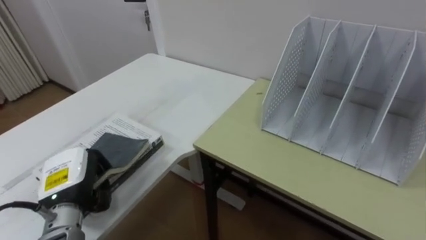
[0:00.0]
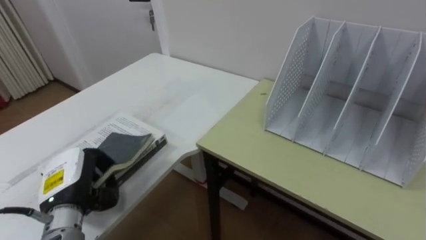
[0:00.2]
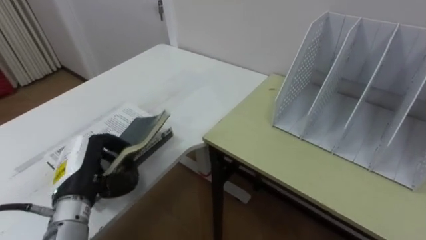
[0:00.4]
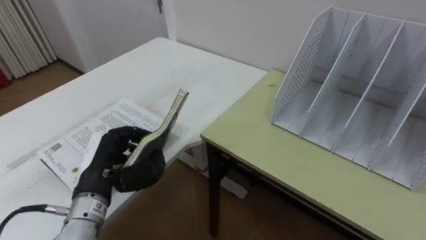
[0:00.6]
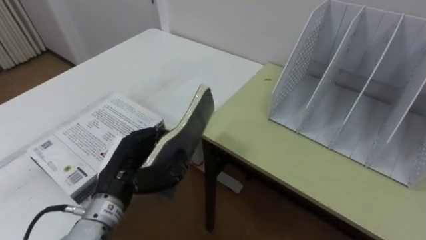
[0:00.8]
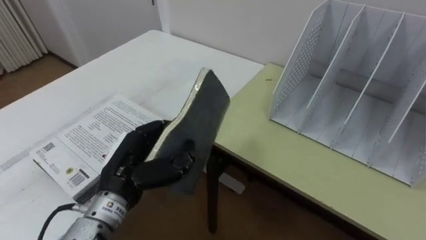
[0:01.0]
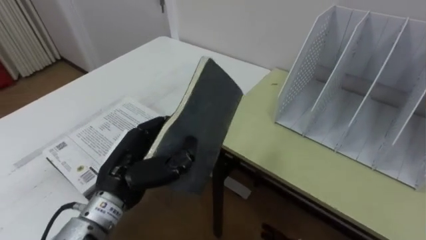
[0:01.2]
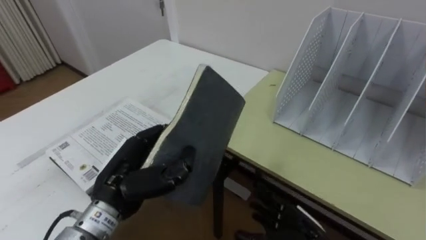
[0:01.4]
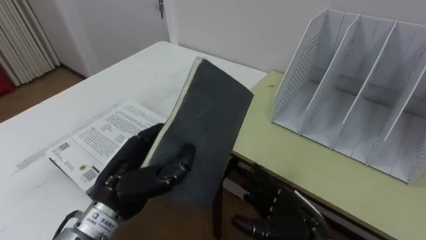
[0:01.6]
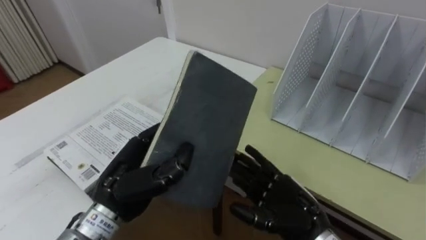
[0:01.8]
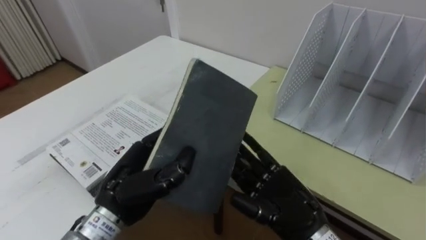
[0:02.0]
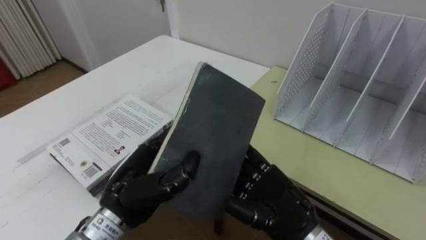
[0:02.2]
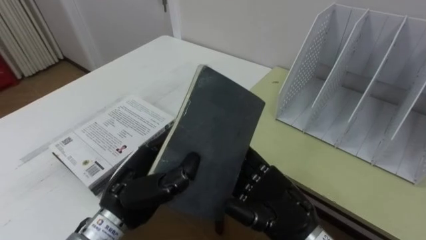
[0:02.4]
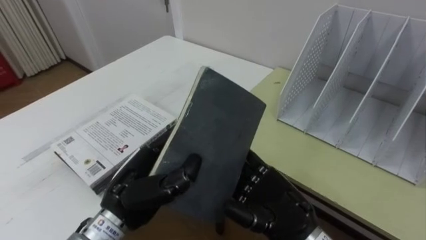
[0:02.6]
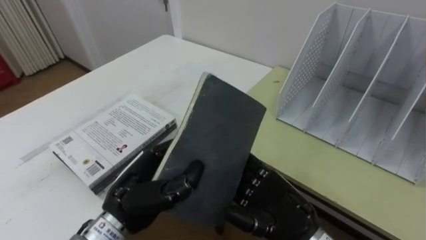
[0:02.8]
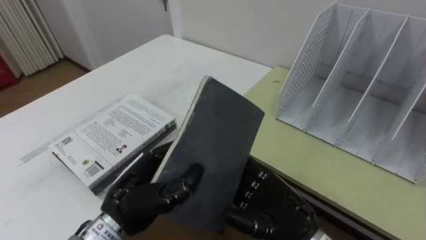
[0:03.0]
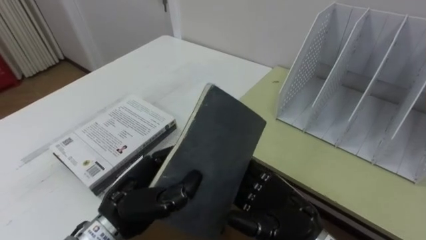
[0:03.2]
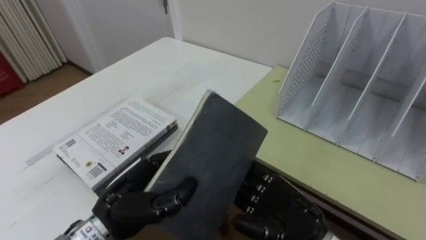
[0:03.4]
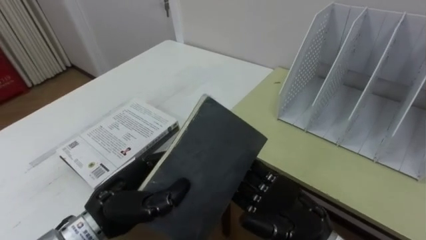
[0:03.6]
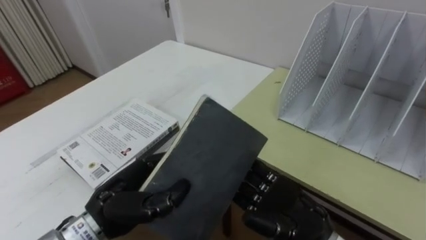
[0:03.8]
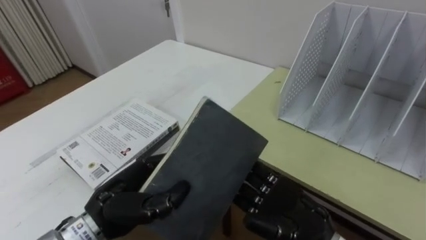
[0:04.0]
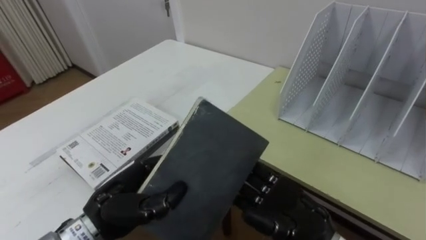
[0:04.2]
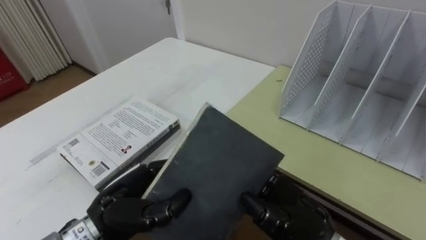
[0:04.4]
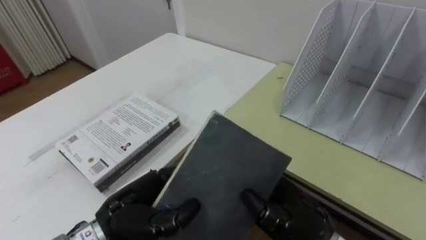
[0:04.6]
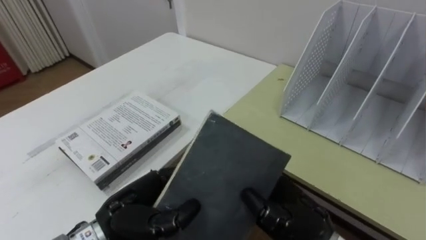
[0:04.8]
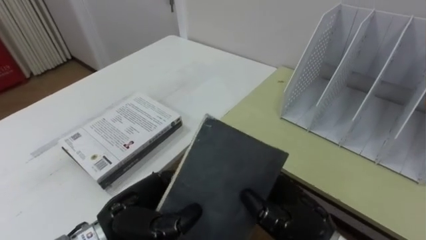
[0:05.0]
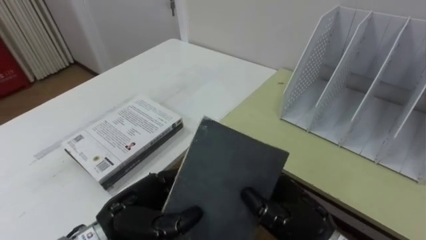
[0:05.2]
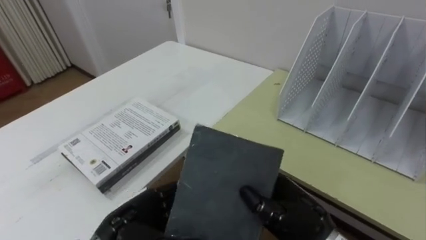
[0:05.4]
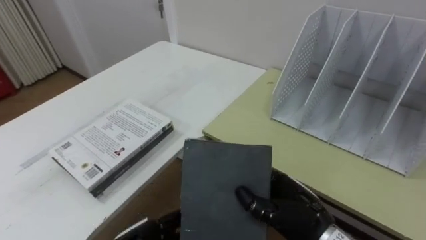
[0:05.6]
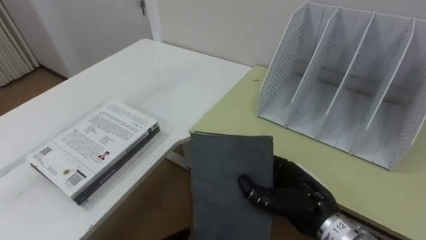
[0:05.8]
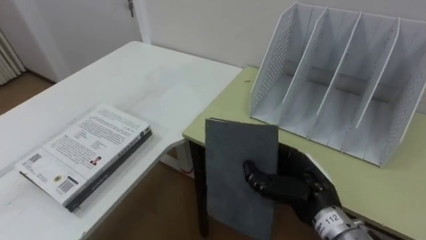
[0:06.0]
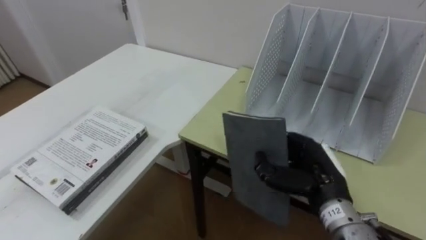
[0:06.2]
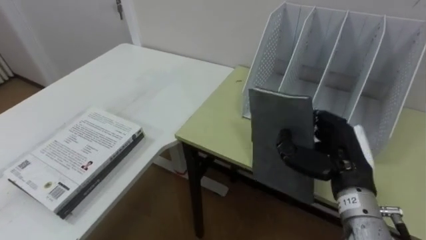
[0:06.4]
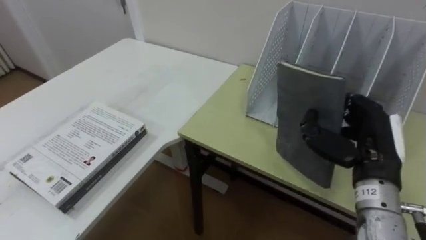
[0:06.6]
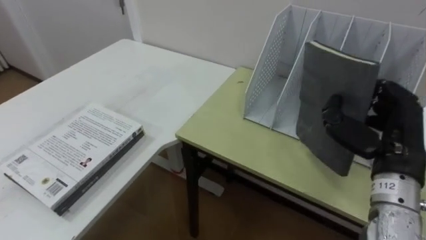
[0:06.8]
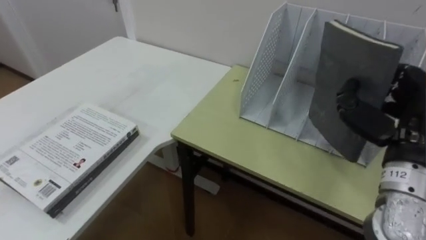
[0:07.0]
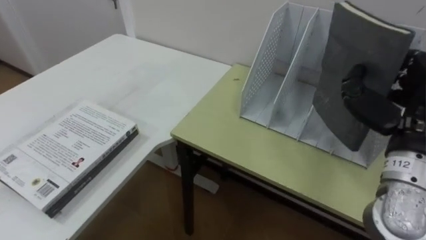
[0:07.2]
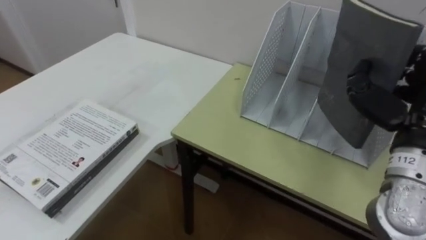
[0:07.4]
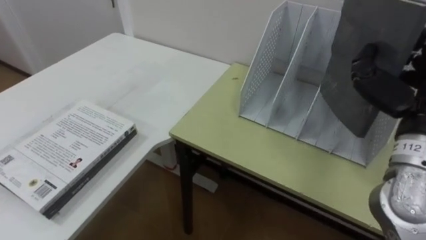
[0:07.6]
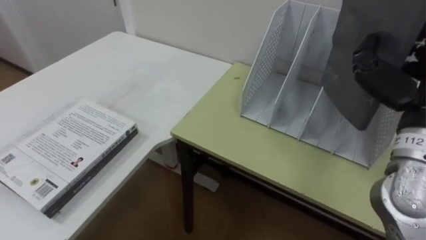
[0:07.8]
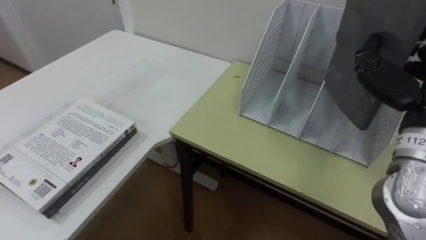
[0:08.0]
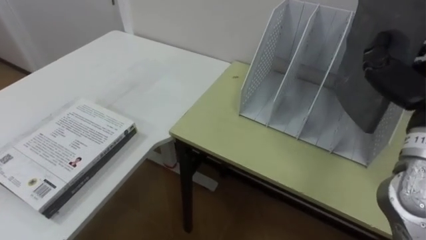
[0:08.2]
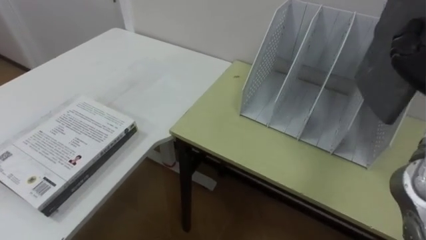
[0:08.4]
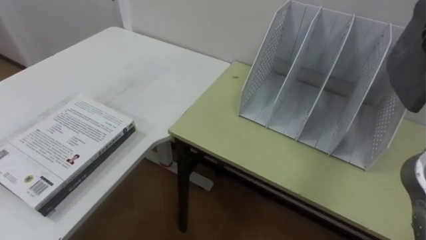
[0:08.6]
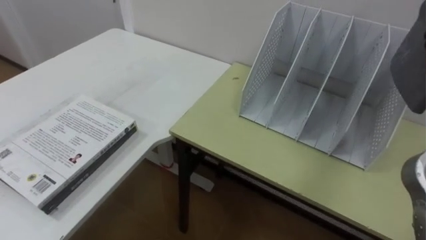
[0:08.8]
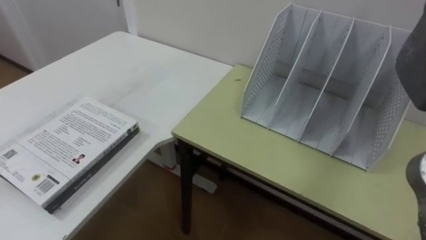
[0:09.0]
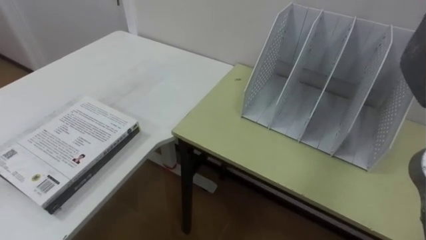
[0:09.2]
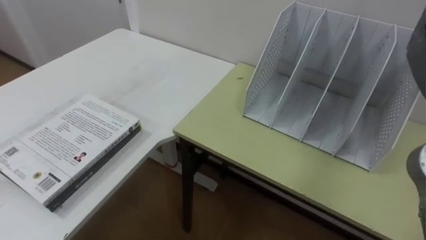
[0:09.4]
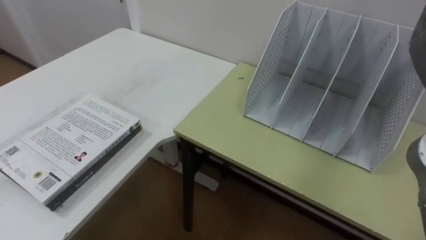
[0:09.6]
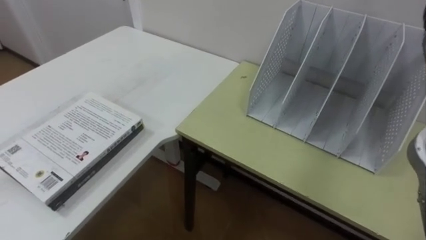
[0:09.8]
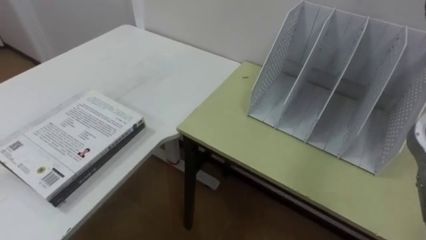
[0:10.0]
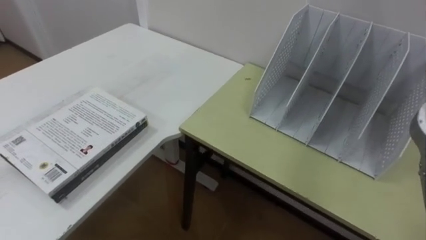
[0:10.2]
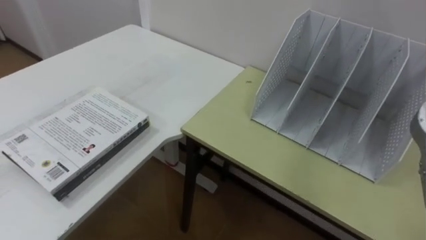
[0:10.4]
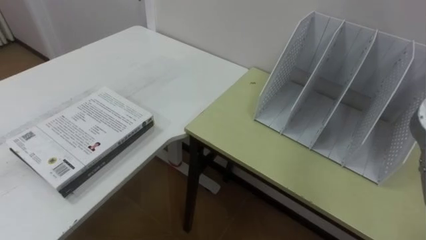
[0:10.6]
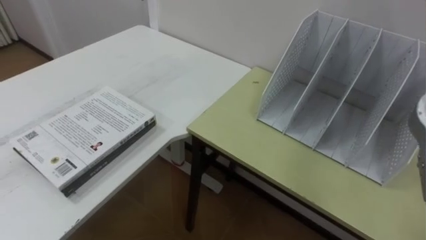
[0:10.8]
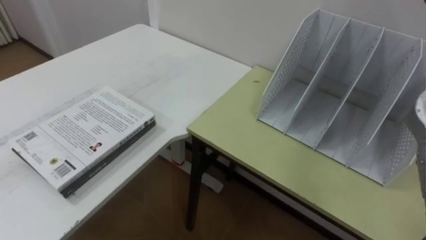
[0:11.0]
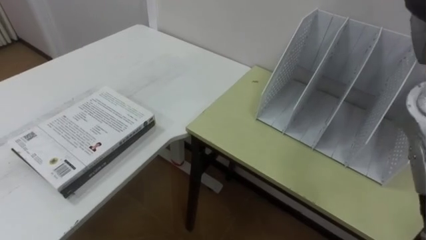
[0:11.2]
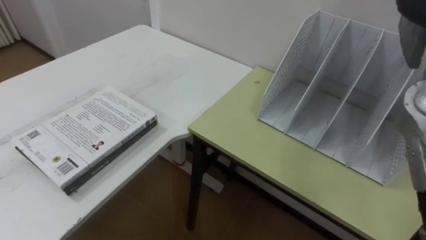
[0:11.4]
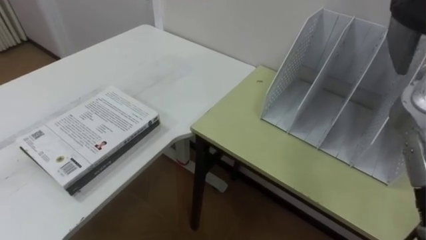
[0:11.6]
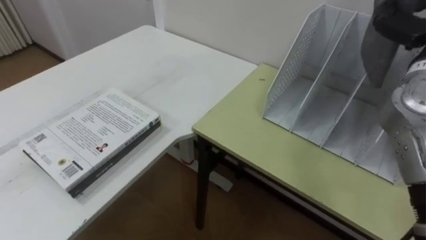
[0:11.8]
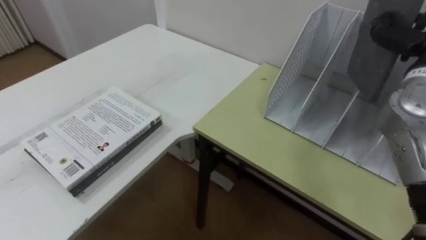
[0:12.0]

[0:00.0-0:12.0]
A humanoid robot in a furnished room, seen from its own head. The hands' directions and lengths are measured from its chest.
Task of the whole recording: Put the books on the table onto the bookshelf.
0.0 to 1.6 s: The left hand is displaced to the right and upward by roughly 15 cm.
1.6 to 3.0 s: The right hand goes some 5 cm upward.
3.0 to 4.4 s: The right hand closes its fingers.
4.4 to 6.0 s: The right hand moves about 5 cm.
6.0 to 7.6 s: The right hand travels upward and to the right by approximately 20 cm.

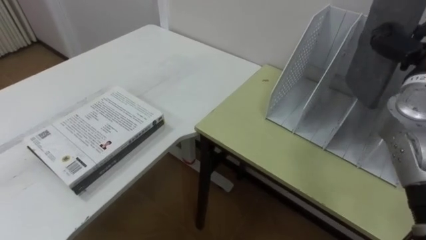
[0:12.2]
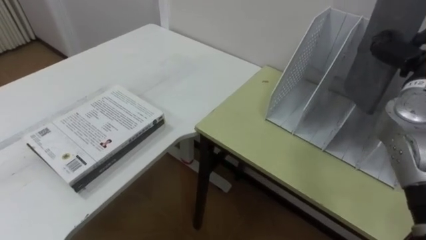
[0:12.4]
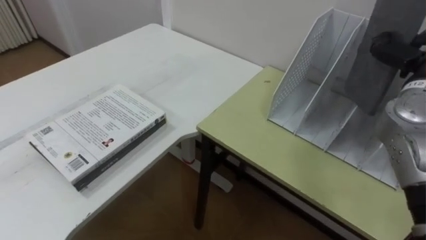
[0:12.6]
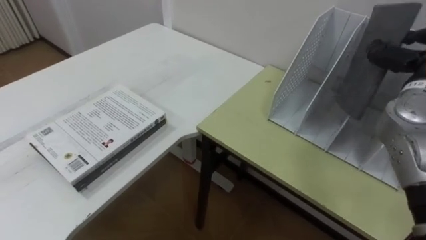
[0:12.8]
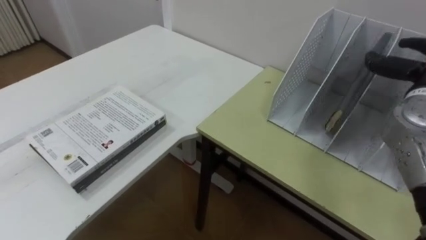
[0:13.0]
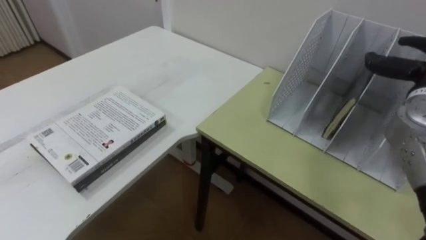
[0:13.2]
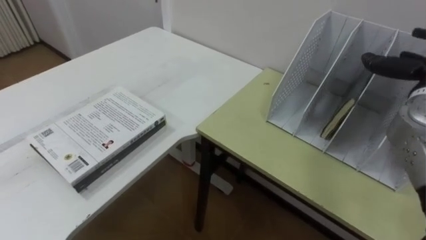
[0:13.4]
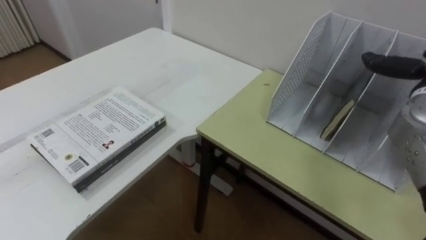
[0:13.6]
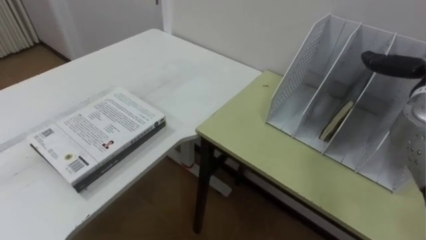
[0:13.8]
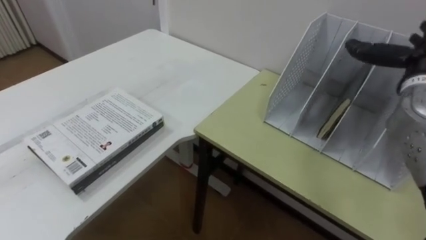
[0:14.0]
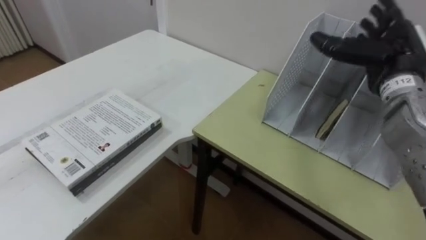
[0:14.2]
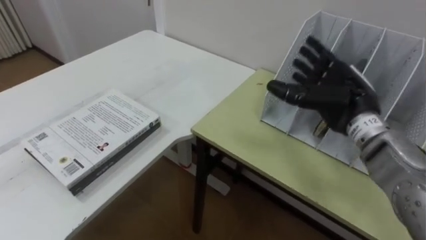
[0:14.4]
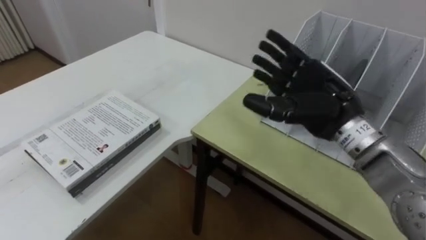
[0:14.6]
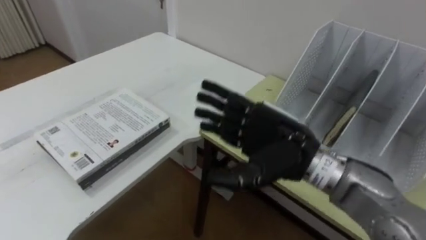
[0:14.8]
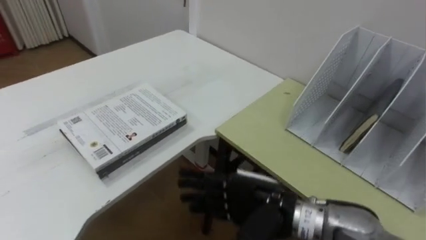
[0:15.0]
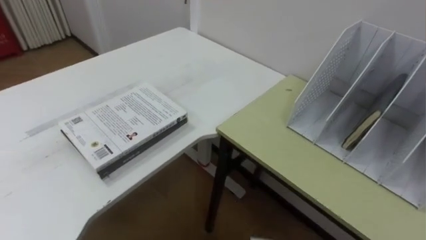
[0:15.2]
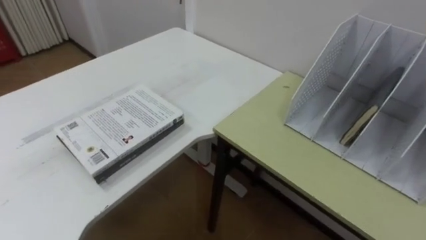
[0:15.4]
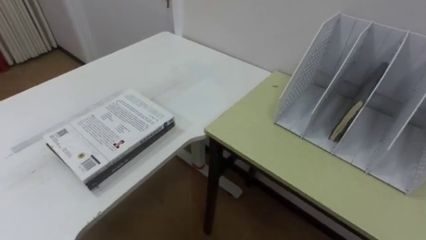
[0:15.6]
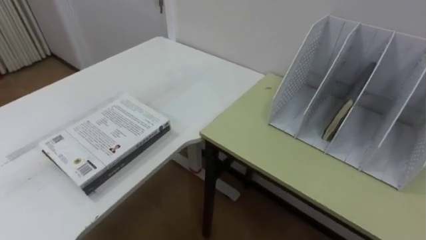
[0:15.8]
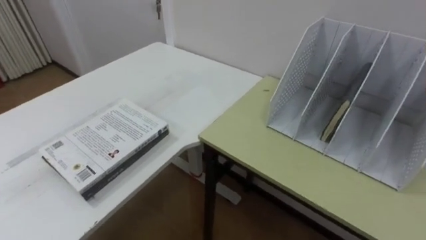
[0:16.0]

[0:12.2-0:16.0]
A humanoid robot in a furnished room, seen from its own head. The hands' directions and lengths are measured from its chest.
Task of the whole recording: Put the books on the table onto the bookshelf.
12.2 to 13.4 s: The right hand opens its fingers.
13.4 to 14.8 s: The right hand heads to the left, covering approximately 25 cm.

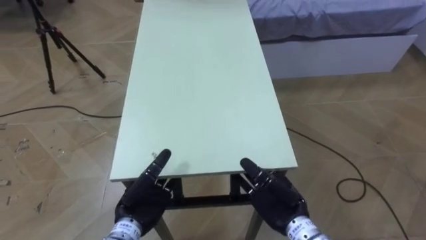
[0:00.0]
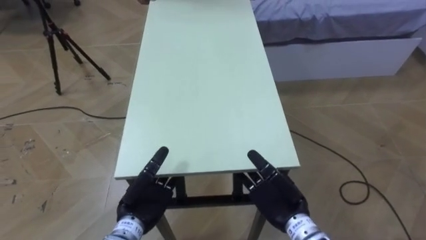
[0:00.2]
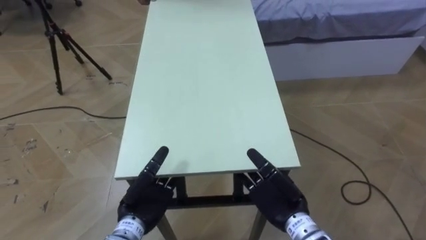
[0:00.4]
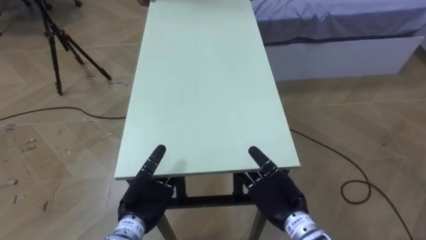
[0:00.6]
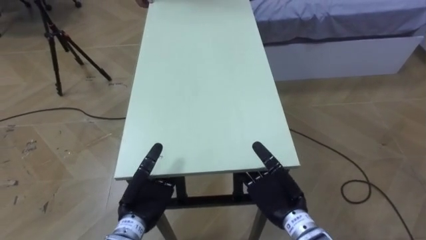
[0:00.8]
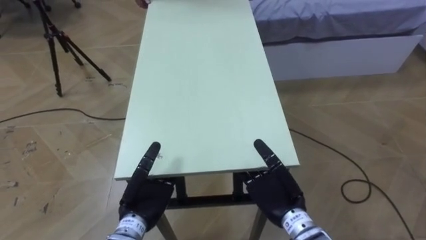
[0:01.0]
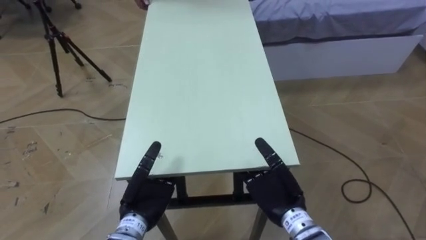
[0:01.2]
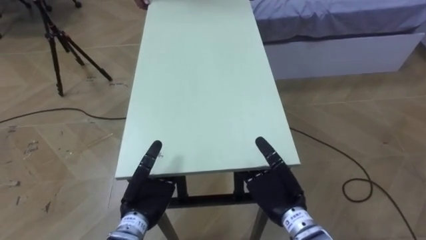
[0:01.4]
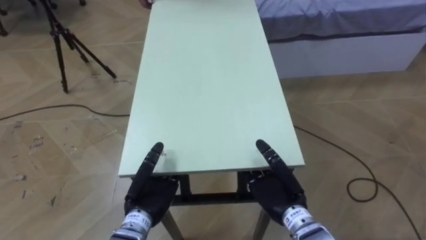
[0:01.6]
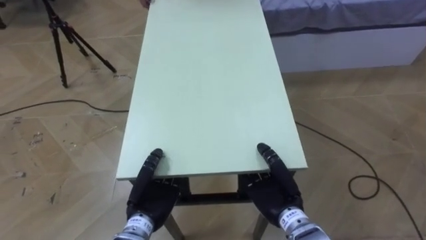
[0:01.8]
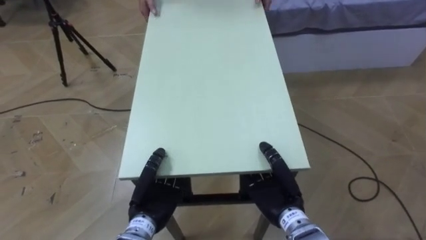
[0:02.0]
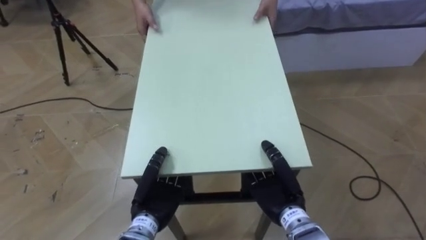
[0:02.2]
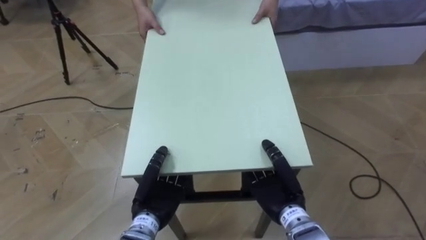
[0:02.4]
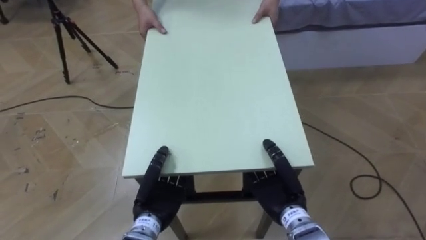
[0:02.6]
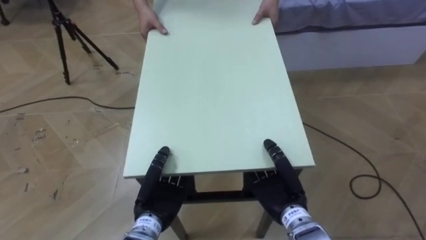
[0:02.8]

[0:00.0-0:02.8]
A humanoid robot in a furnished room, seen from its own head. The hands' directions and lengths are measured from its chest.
Task of the whole recording: Move the table to the back left with someone.
1.4 to 2.8 s: The left hand closes up. The right hand closes.
